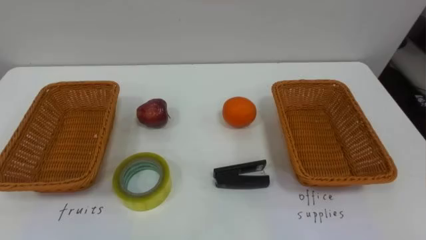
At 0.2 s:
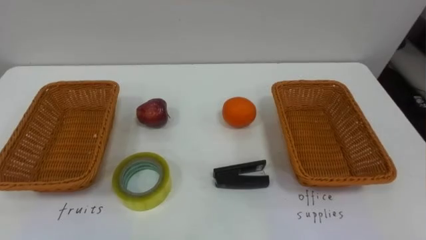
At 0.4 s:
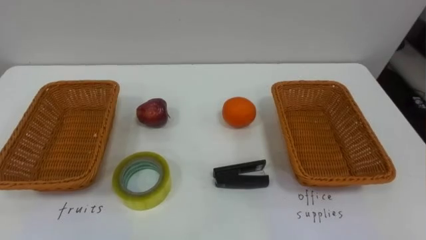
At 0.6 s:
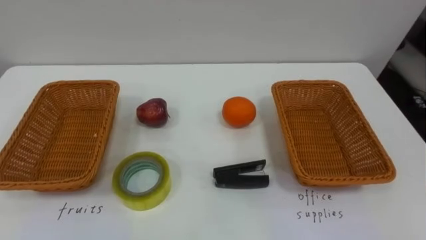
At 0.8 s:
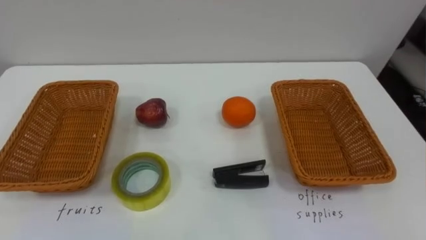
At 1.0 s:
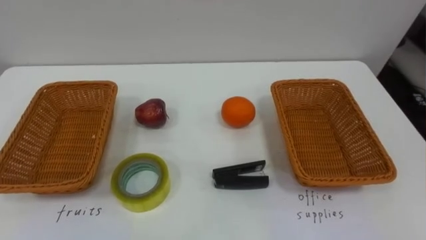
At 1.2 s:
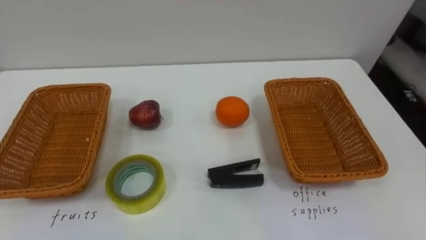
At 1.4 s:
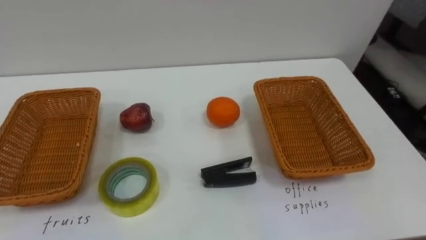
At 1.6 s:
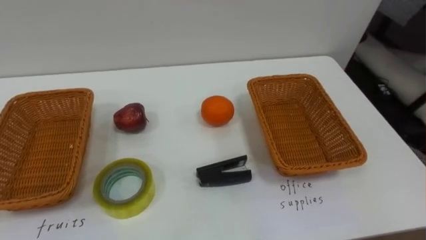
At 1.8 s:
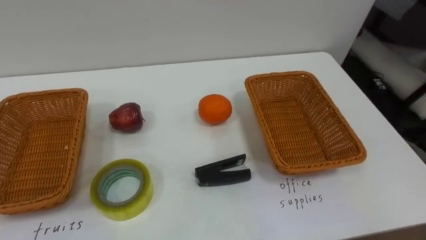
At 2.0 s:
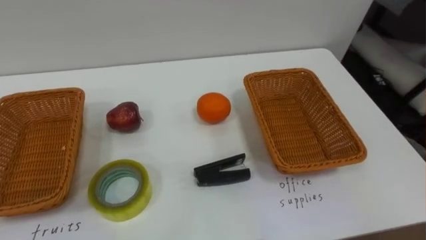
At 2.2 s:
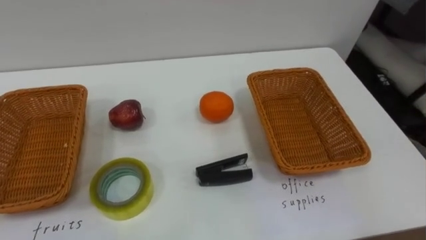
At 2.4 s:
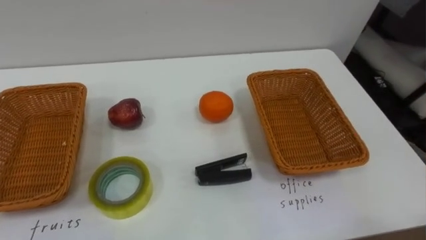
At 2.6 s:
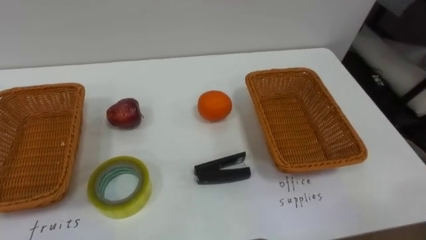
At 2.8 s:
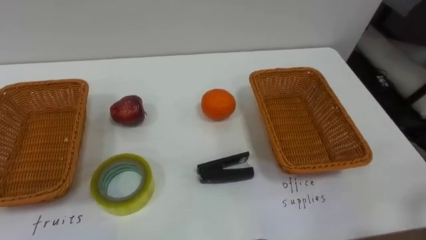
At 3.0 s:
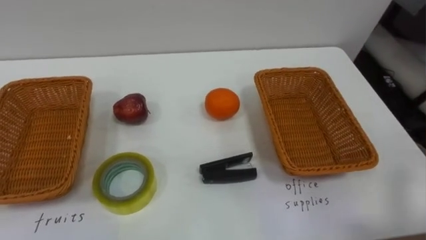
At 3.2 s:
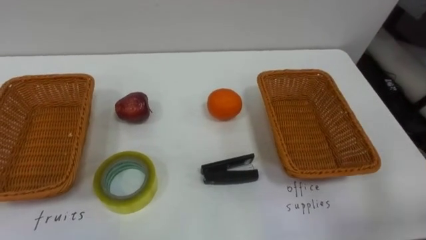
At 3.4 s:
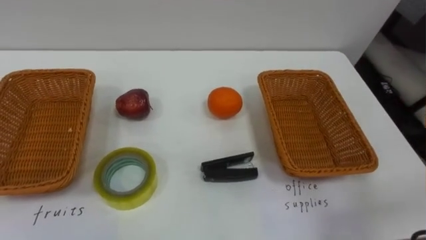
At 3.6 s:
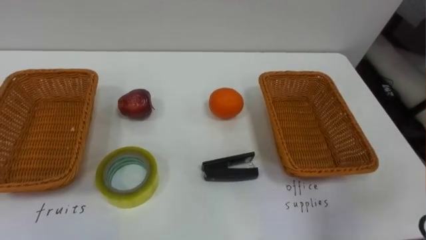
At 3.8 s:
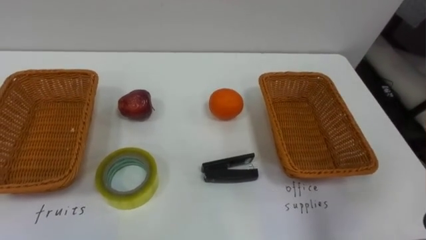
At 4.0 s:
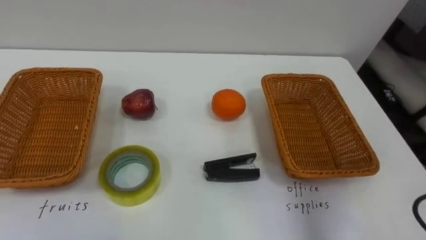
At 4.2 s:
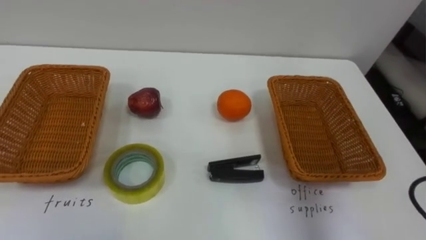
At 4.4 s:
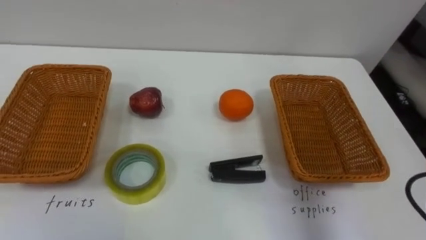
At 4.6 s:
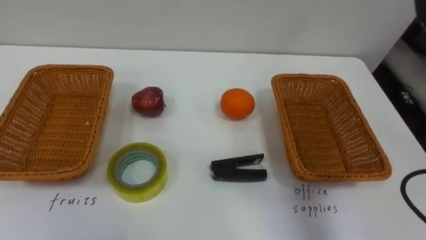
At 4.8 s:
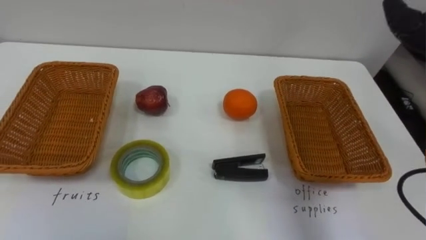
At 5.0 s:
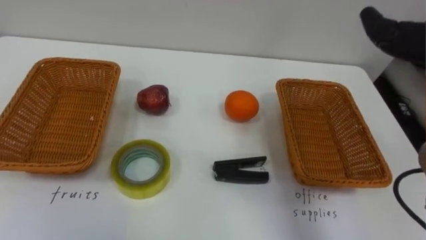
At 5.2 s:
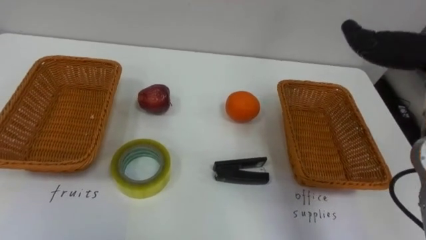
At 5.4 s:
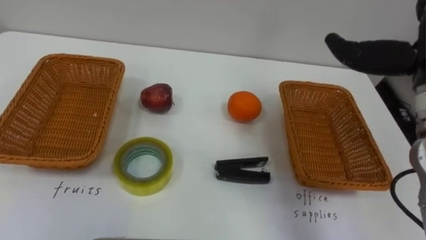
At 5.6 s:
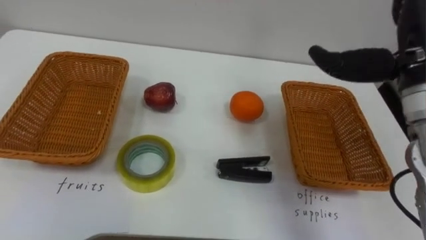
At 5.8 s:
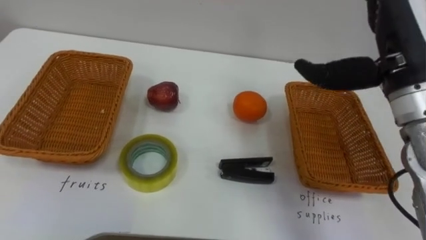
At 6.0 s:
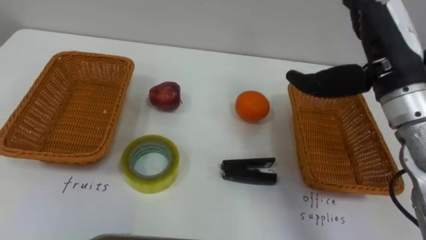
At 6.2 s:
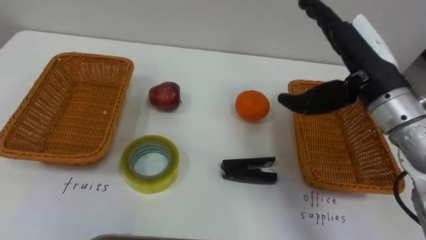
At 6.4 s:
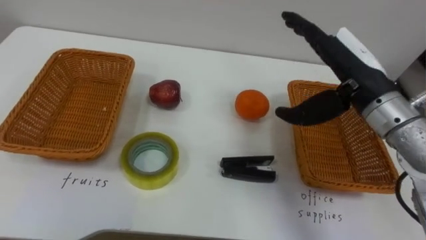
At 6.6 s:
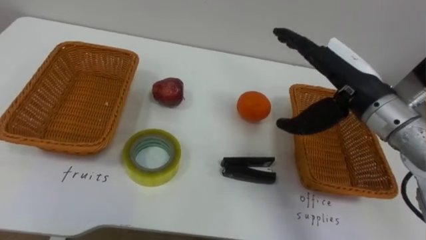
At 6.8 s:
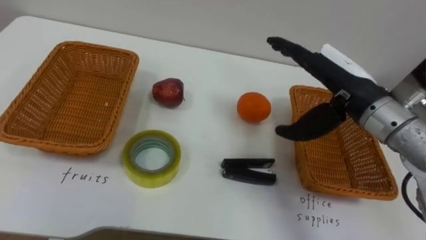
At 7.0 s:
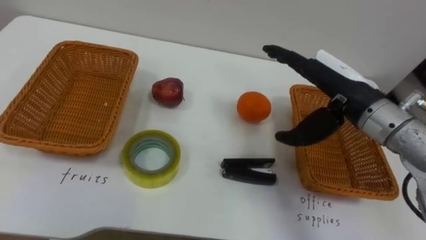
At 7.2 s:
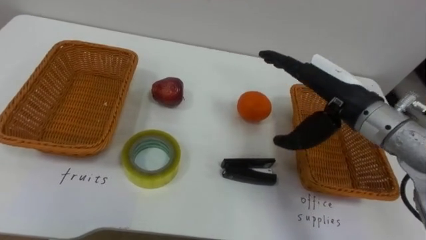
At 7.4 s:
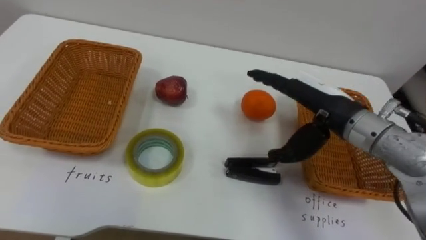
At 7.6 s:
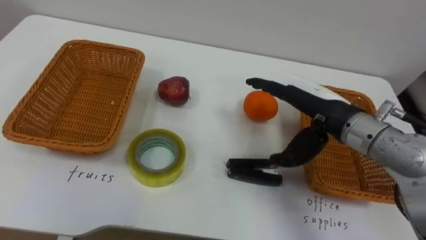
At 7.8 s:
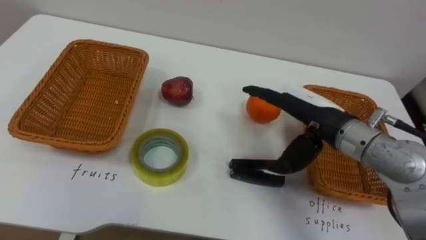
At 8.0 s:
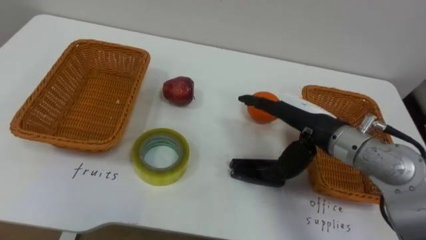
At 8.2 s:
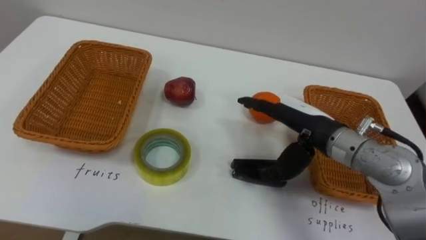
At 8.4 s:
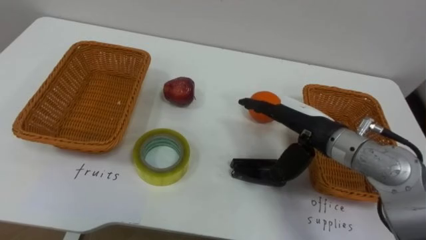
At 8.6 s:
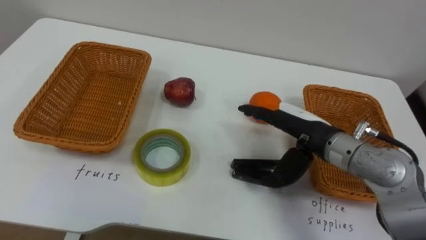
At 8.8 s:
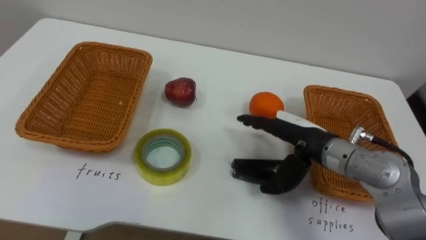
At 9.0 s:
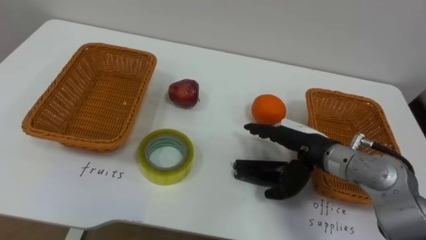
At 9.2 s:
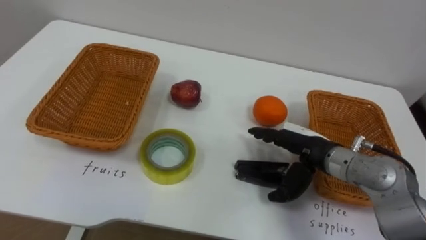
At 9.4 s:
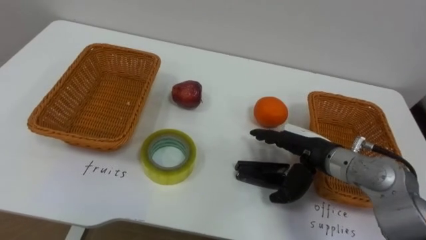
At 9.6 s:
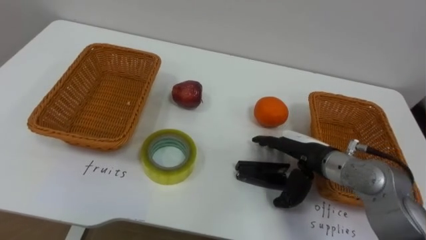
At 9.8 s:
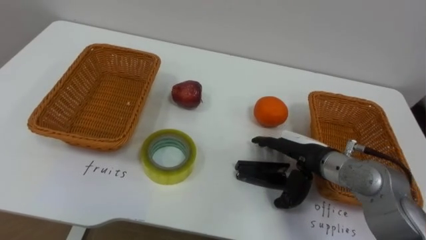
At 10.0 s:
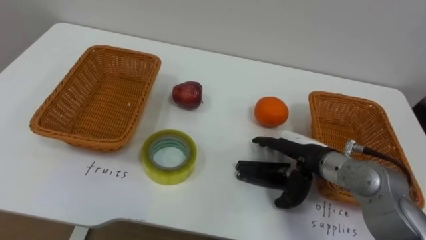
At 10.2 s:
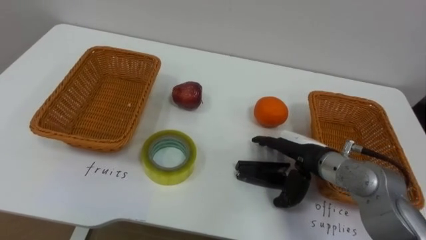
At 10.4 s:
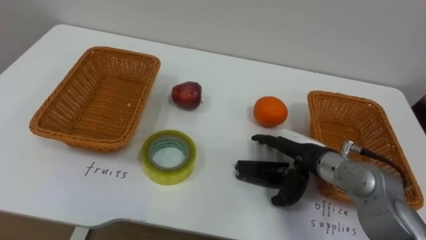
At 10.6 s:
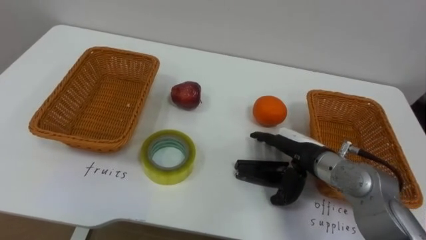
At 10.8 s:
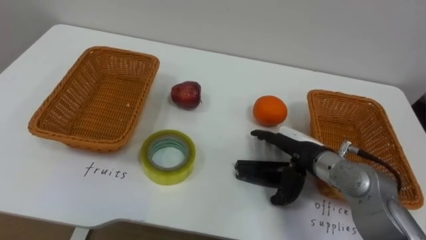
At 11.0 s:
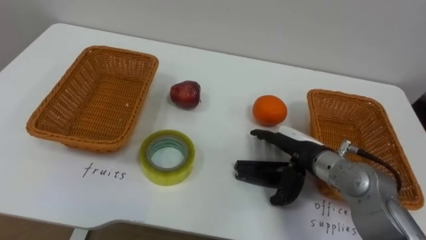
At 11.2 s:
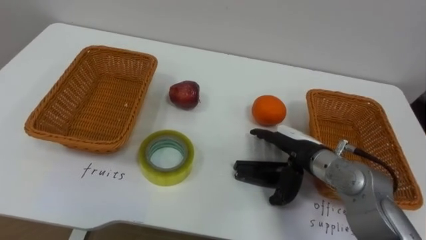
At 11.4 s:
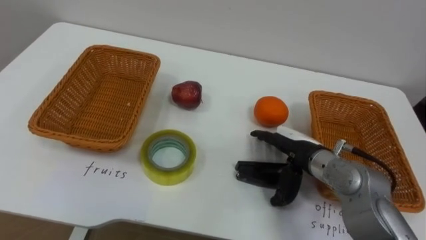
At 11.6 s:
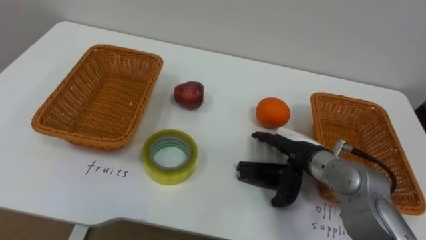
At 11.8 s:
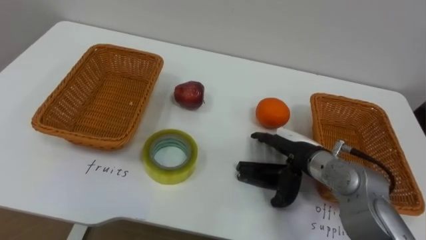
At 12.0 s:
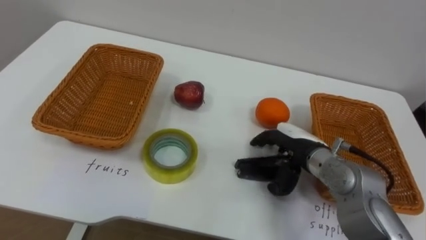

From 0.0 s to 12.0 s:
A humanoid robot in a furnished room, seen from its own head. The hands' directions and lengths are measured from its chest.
Task of the whole recording: Separate the items on the table and place them into the two baskets.
From 6.0 s to 7.6 s: The right hand is displaced downward and to the left by about 10 cm.
From 7.6 s to 9.0 s: The right hand goes about 10 cm downward.

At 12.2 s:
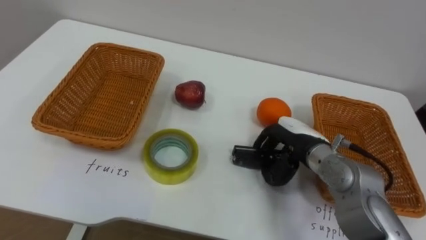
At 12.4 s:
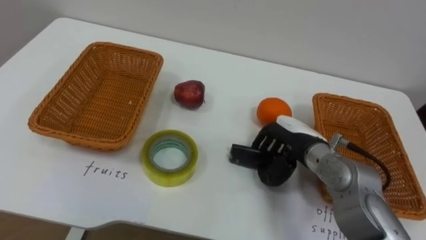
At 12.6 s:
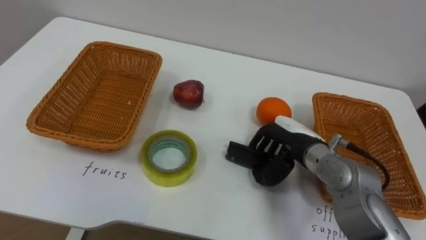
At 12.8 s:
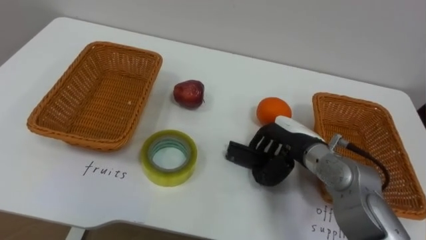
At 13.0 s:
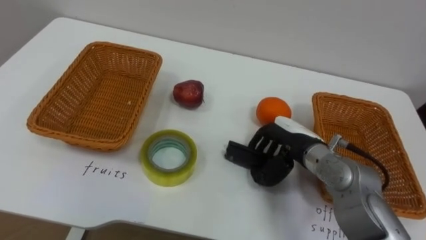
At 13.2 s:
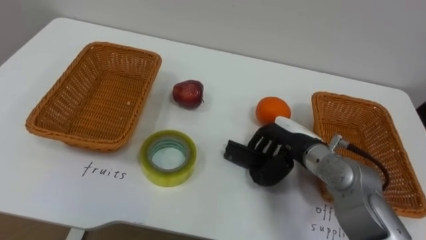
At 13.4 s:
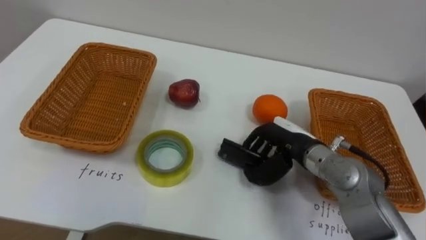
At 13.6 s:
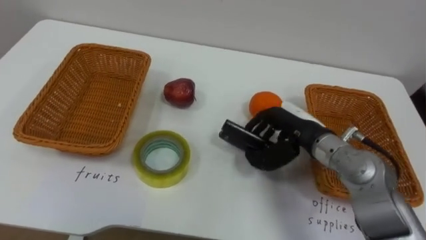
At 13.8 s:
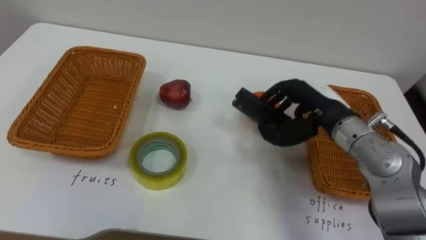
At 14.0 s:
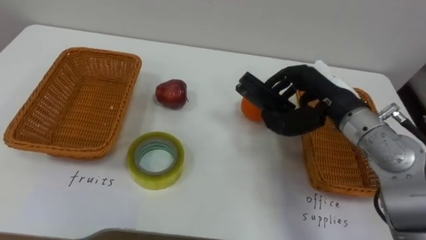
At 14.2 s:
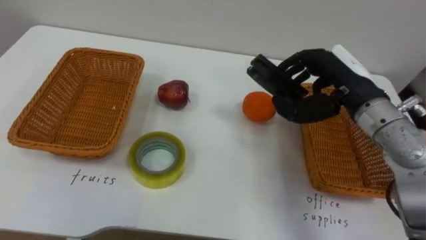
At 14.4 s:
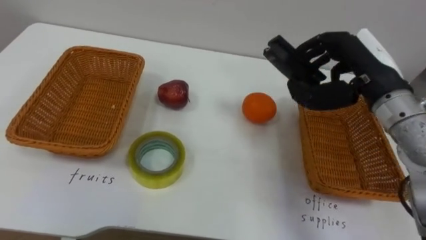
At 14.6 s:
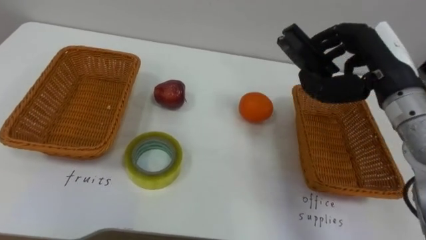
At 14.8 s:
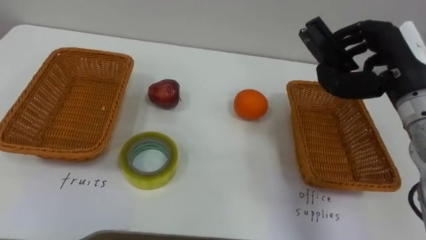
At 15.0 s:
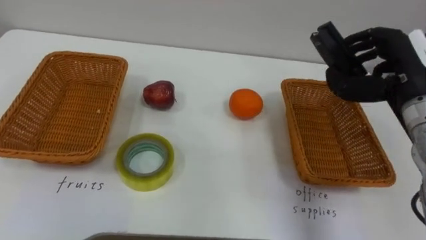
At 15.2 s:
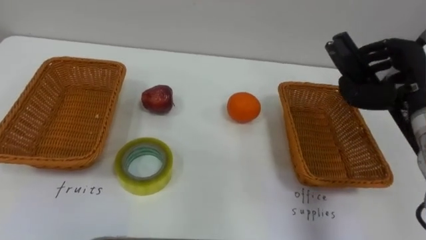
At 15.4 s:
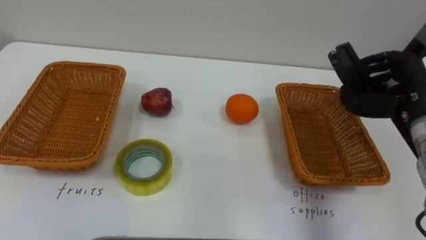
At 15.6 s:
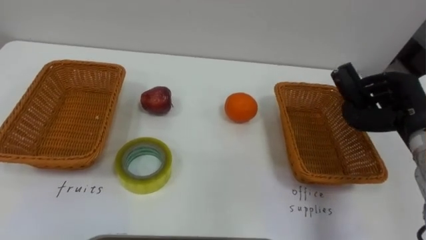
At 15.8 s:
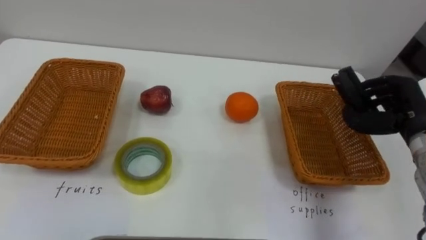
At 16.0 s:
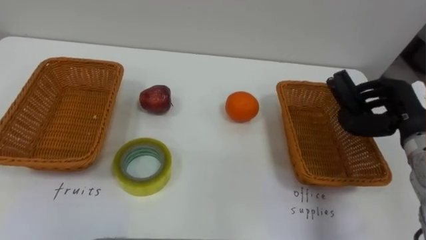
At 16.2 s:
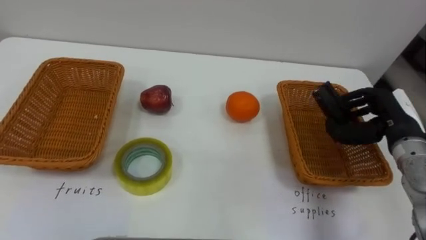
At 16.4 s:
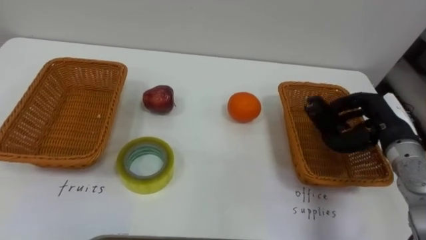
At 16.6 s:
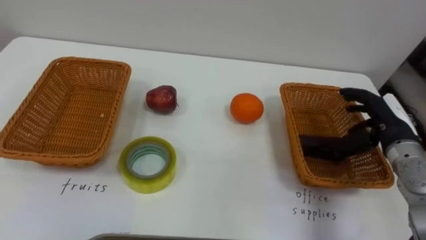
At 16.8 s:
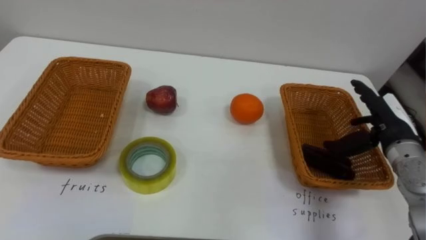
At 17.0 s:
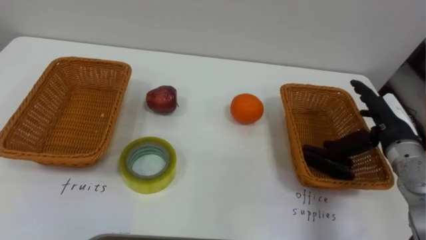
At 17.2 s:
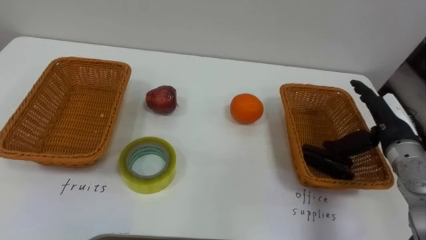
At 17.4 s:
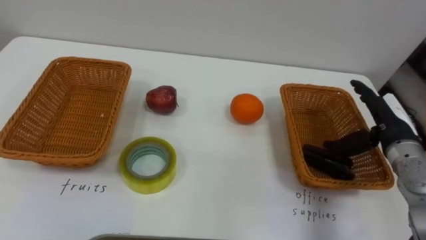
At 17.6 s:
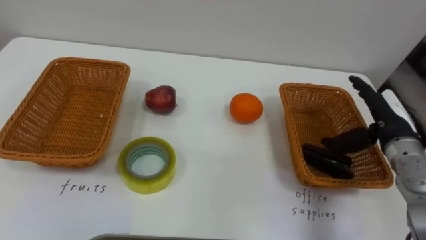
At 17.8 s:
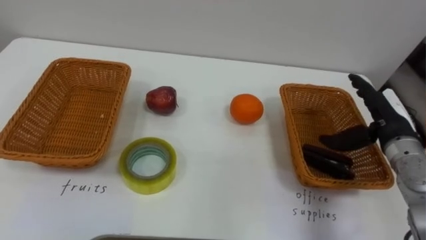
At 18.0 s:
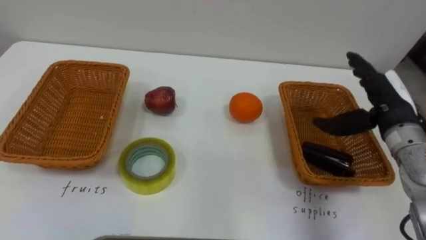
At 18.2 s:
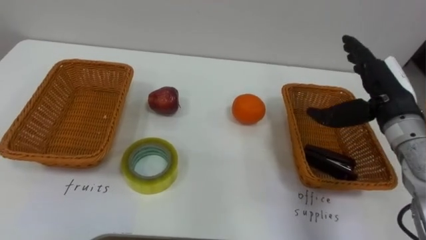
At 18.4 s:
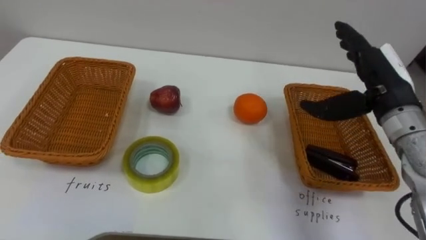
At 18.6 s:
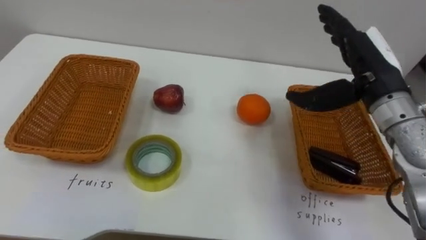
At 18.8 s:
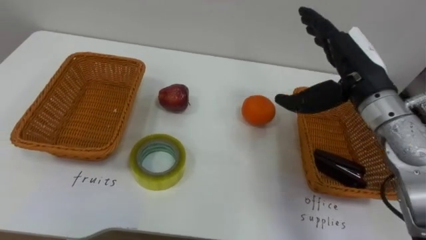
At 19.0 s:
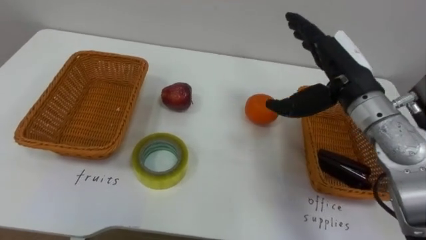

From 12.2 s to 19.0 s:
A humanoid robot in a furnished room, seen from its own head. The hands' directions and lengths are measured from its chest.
Task of the whole recording: Separate the items on the table and place them into the two baskets.
From 13.6 s to 15.0 s: The right hand goes approximately 20 cm to the right and upward.
From 15.0 s to 16.2 s: The right hand goes about 10 cm downward.
From 16.2 s to 17.6 s: The right hand opens its fingers.
From 17.6 s to 19.0 s: The right hand heads to the left and upward, covering about 15 cm.
